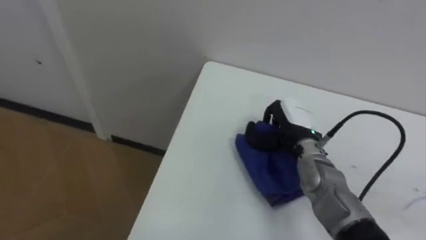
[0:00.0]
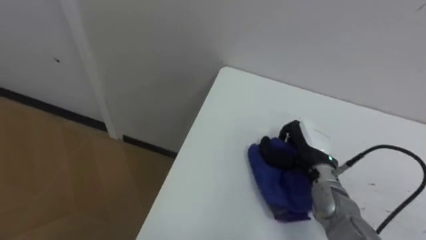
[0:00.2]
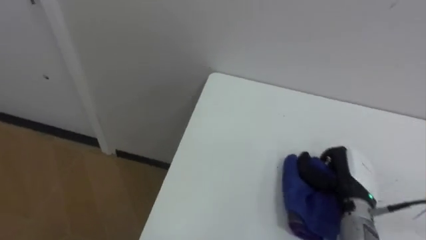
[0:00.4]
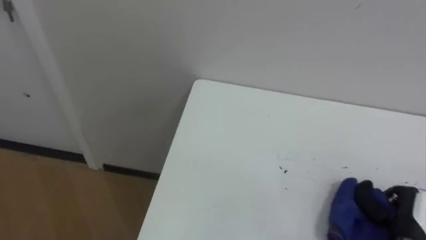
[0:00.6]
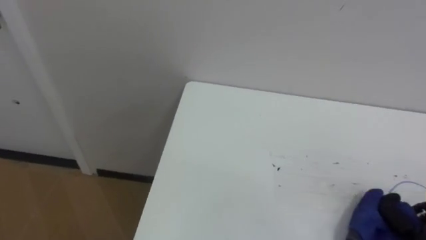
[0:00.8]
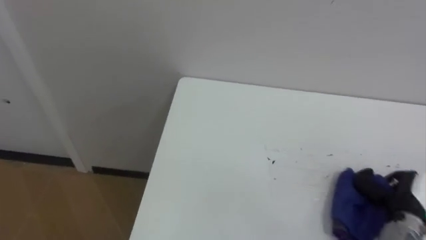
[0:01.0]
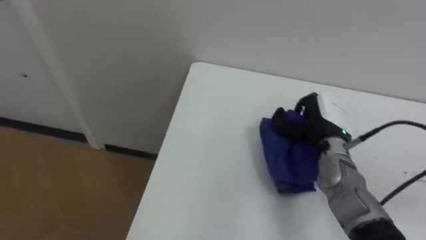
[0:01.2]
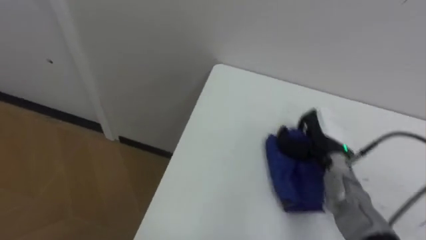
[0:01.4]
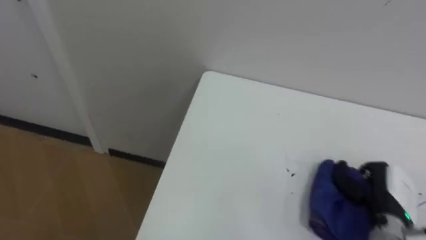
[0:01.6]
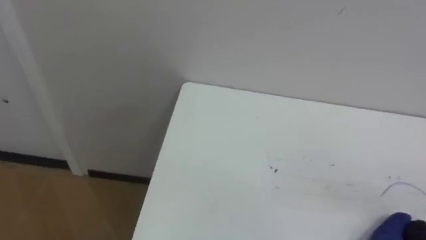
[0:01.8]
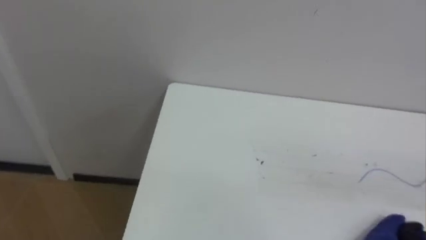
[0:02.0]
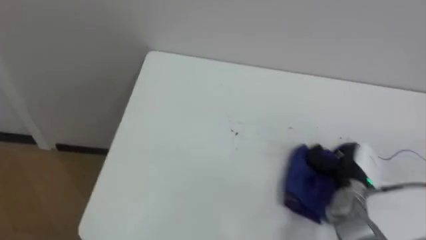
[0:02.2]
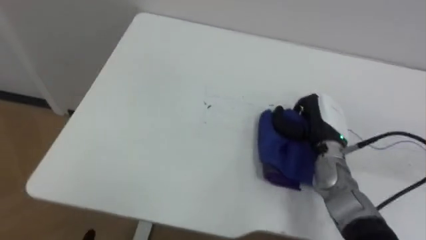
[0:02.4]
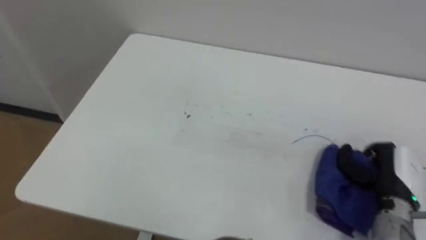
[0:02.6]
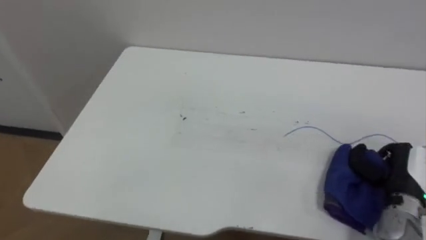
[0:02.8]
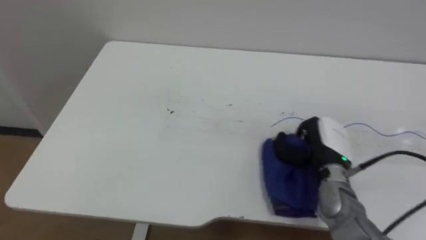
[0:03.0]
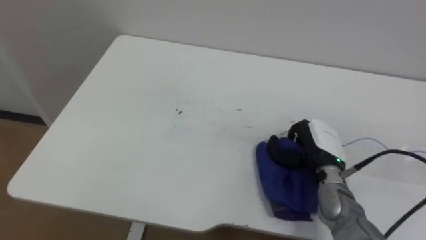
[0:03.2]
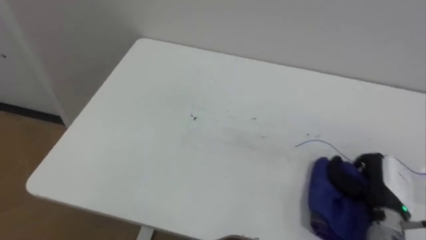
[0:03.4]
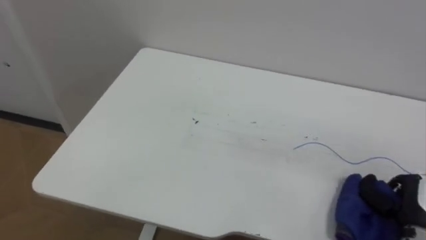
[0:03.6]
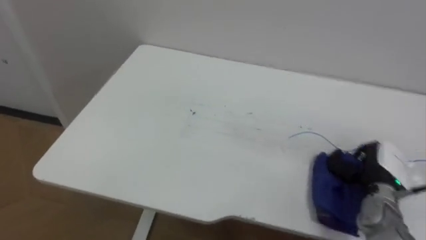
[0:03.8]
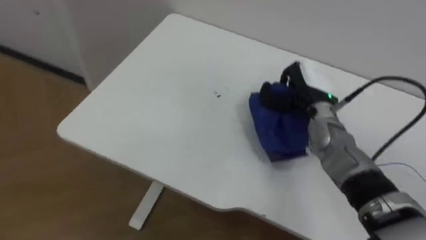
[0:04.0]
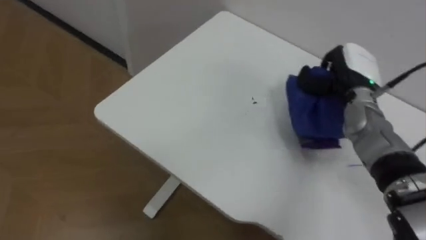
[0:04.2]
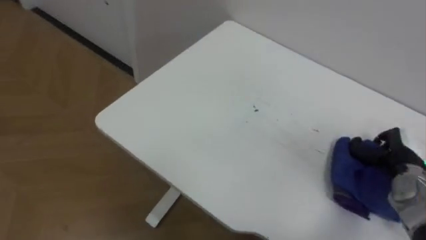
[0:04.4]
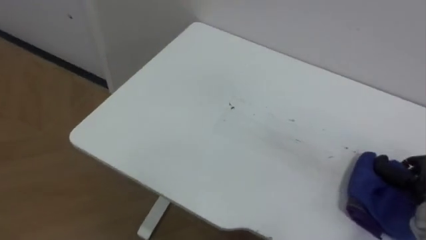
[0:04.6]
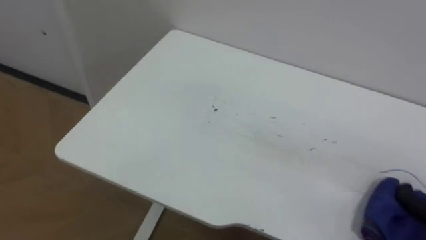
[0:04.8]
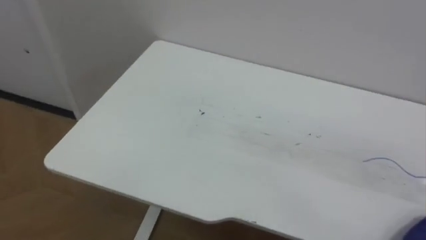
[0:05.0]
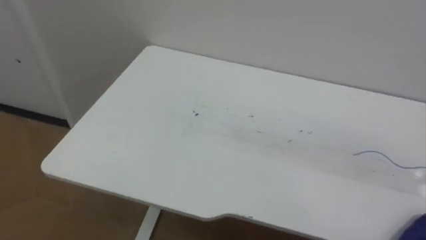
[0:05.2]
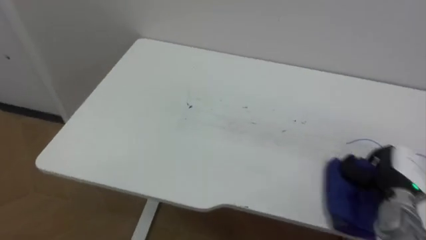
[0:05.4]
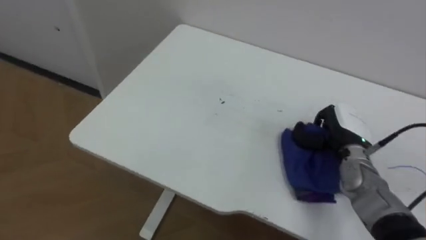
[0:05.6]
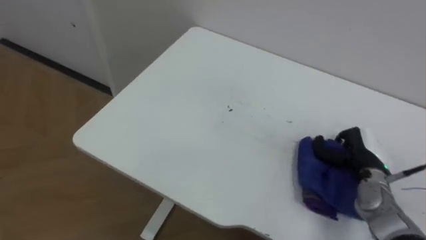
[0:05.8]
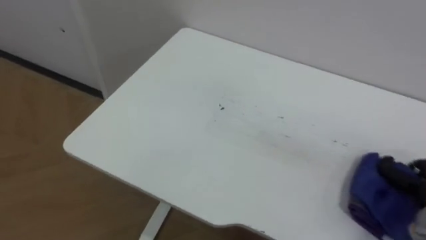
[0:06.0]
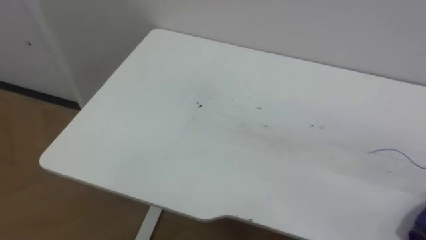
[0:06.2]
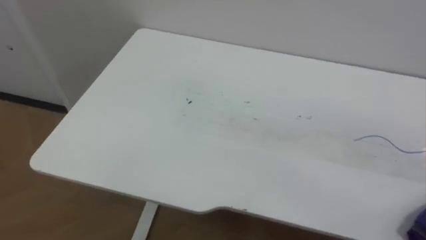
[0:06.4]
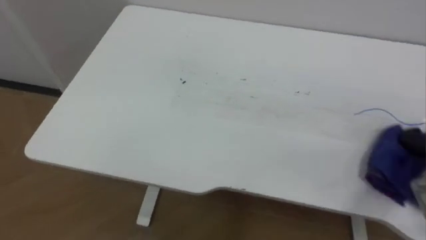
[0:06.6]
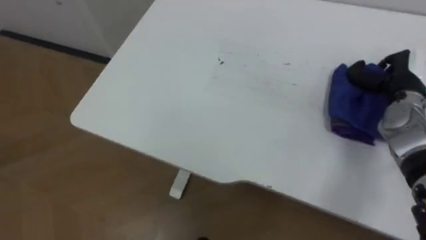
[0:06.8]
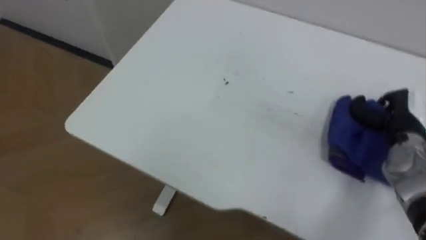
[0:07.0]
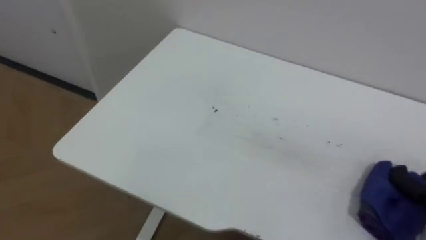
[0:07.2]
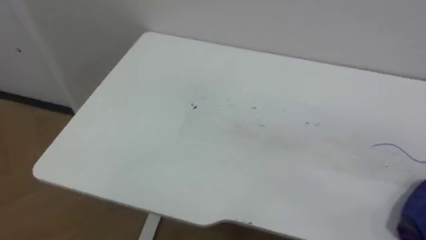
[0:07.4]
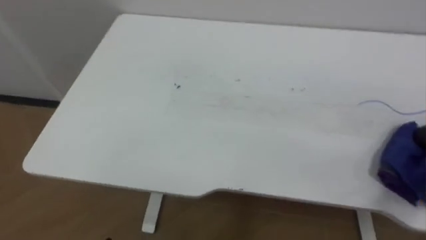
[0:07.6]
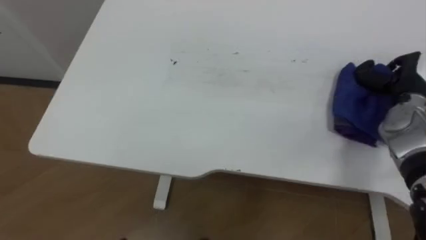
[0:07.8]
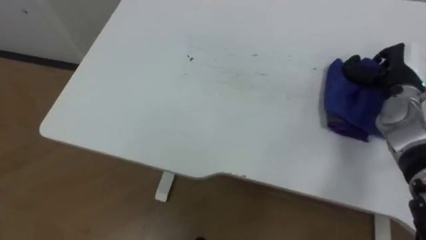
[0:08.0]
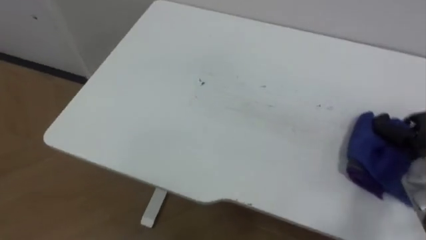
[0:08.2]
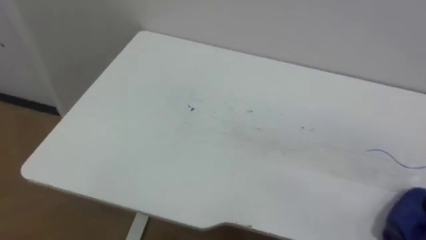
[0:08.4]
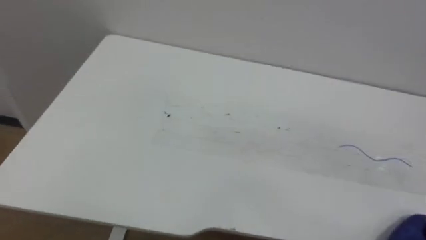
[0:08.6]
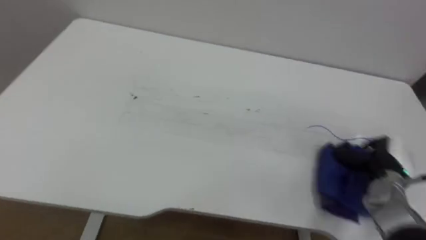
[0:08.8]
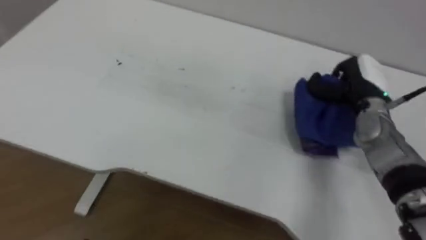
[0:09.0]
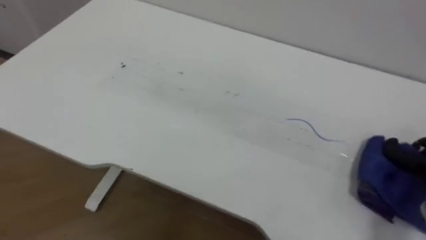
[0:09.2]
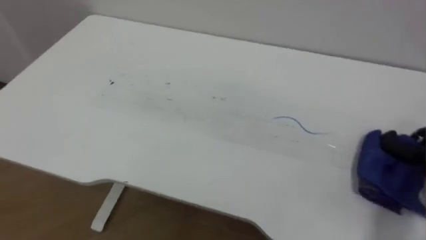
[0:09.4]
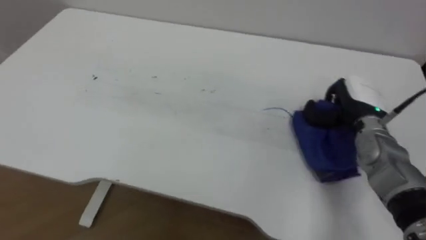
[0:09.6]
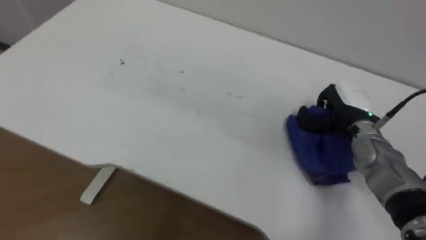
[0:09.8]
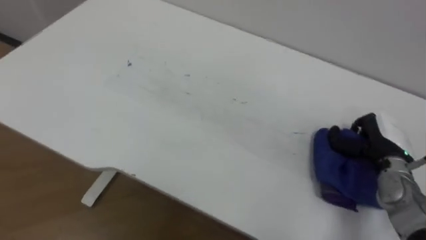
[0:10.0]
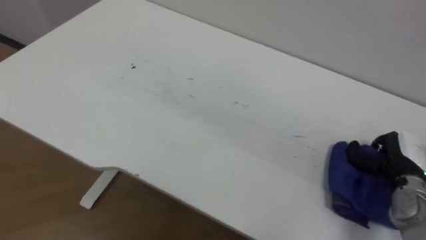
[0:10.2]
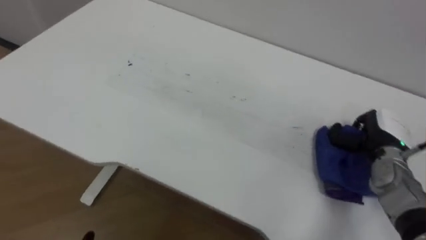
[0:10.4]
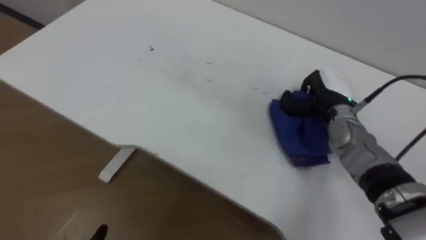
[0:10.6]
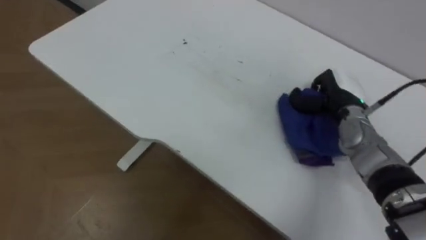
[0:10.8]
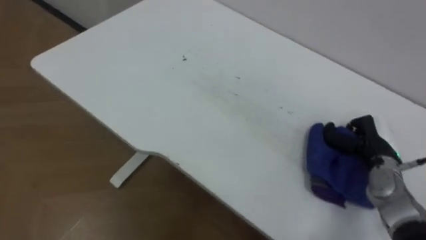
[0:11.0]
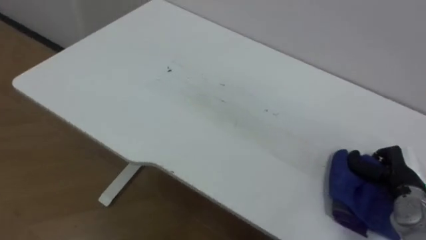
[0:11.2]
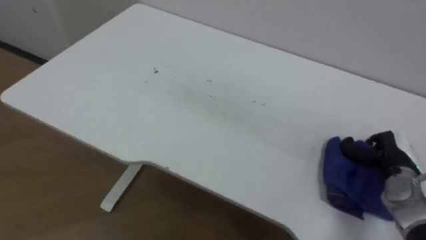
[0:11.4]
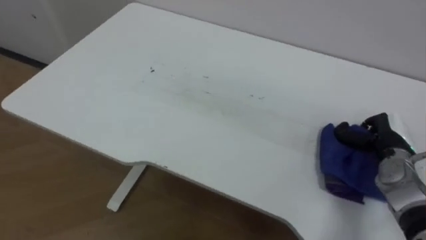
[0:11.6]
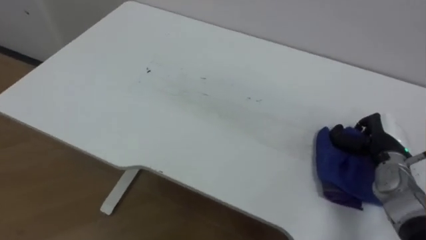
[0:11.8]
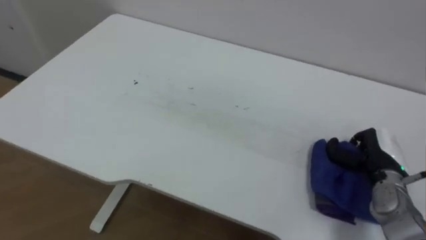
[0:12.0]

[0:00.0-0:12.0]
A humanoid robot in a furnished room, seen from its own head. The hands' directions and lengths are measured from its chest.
Task of the whole recording: Wipe the blue pen marks off the table with the rag.
0:03.0 to 0:04.4: The robot's body swings about 20 degrees to its left. The right hand goes forward and backward, some 25 cm each way, reversing 2 times.
0:10.4 to 0:12.0: The right hand swings forward and backward, about 15 cm each way, with 2 reversals.

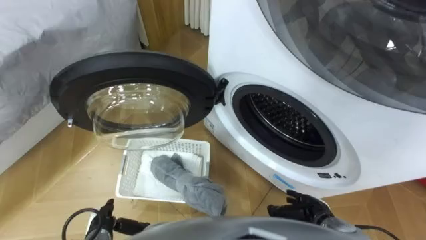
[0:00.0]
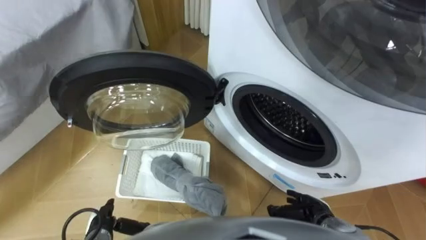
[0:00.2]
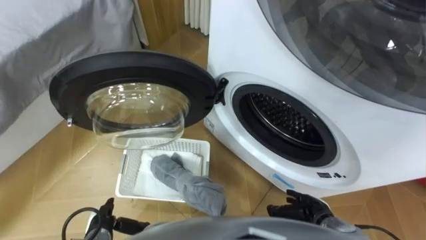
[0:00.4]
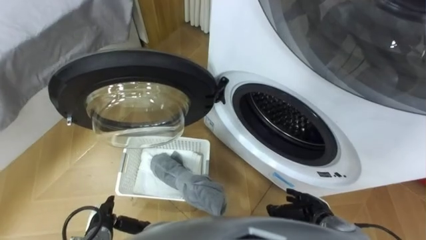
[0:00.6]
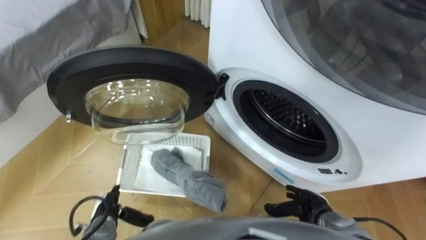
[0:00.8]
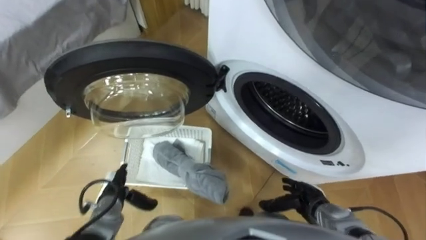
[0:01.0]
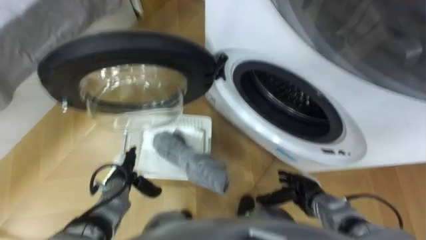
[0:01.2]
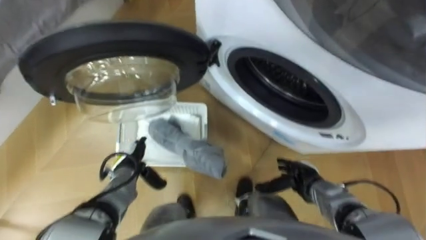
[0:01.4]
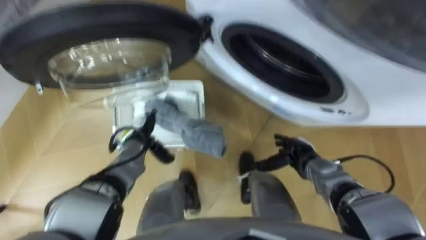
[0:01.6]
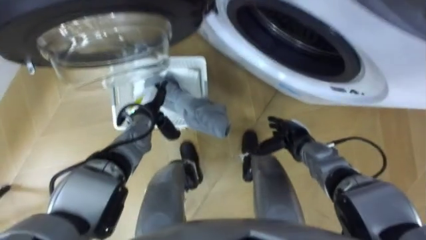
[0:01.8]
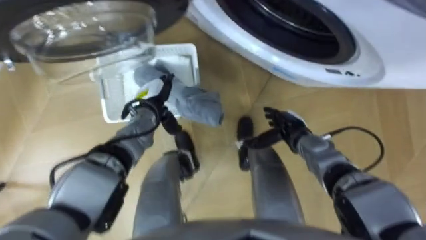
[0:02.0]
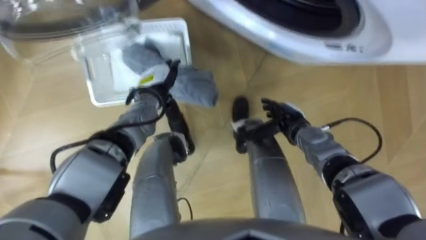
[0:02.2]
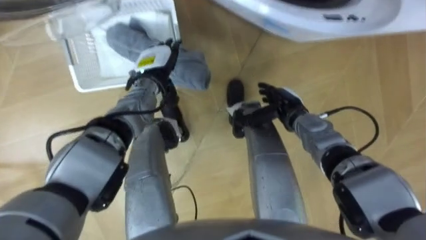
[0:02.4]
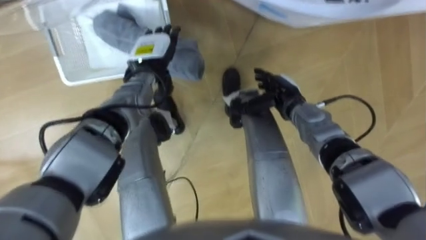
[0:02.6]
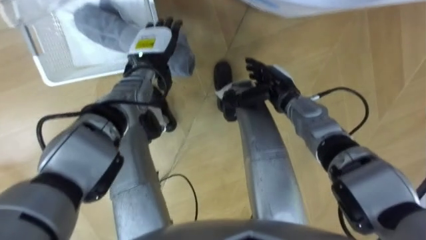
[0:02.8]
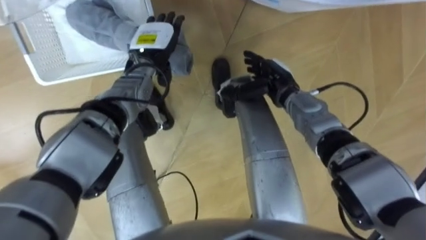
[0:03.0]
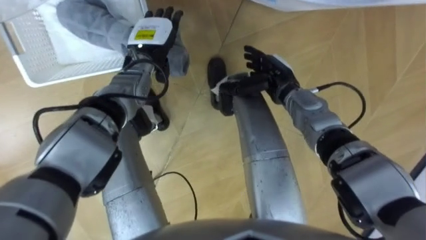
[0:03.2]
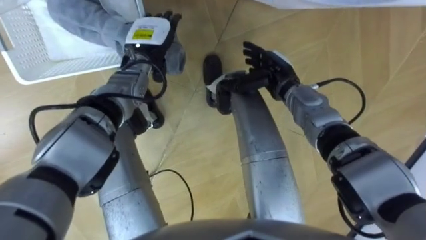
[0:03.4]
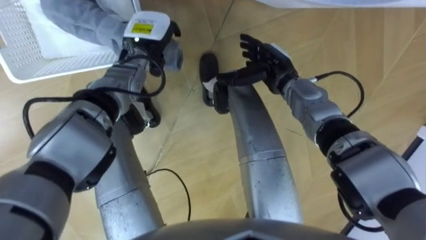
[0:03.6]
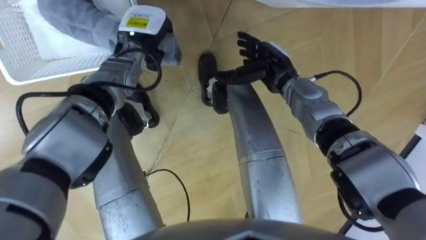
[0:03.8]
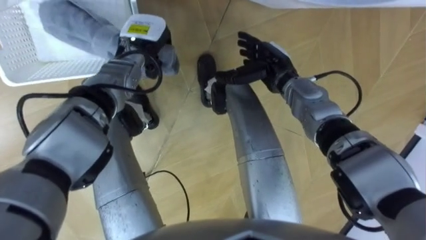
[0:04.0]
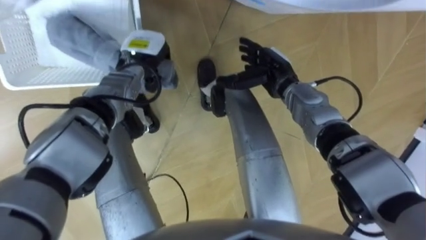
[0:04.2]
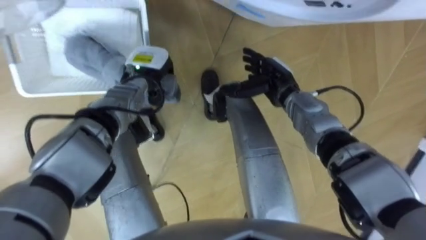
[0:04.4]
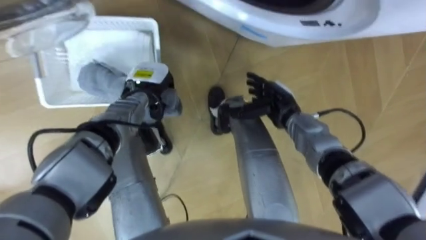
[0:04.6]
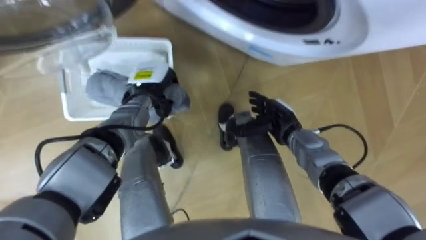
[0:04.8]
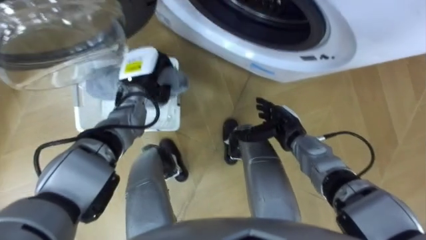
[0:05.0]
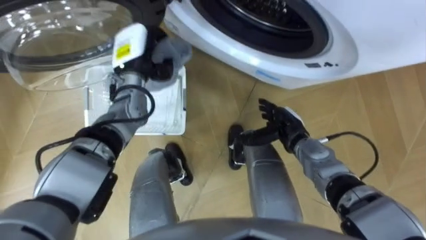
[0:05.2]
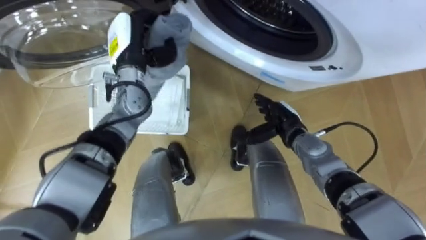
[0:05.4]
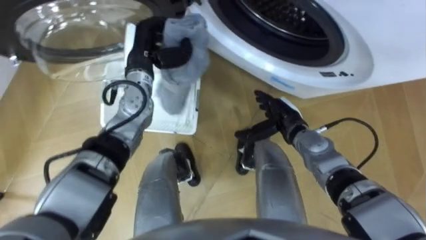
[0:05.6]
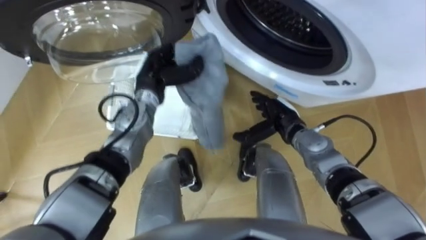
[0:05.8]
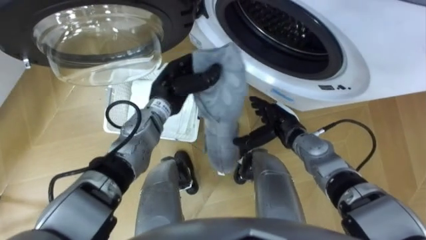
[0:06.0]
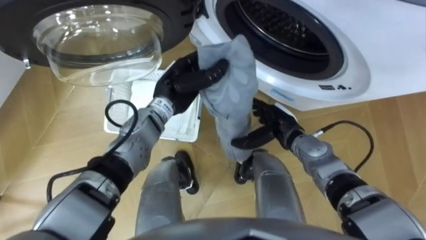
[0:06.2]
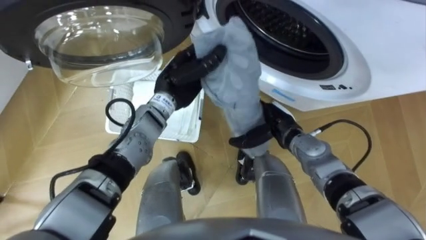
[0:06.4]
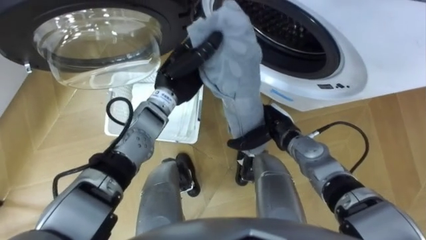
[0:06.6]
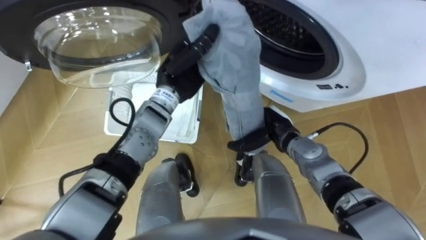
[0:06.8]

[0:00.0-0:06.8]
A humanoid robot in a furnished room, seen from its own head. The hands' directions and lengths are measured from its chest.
Task of the whole recording: Take the towel from the basket and put it into the washing machine.
0:01.4 to 0:02.8: The right hand goes approximately 25 cm forward, upward and to the left. Meanwhile the left hand heads forward and upward, covering approximately 25 cm.
0:02.8 to 0:04.0: The left hand closes its fingers, while the right hand changes place by approximately 5 cm.
0:04.0 to 0:05.4: The right hand travels backward and downward by roughly 15 cm; the left hand reaches about 5 cm downward, then returns.
0:05.4 to 0:06.8: The left hand is displaced to the right by some 10 cm.
